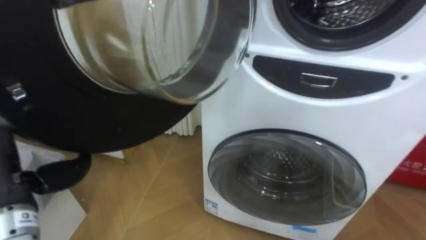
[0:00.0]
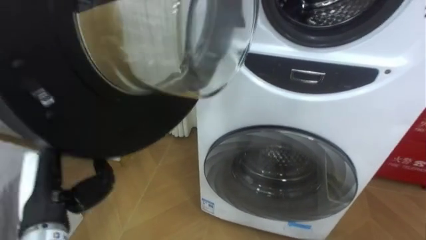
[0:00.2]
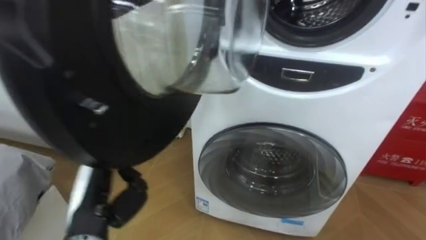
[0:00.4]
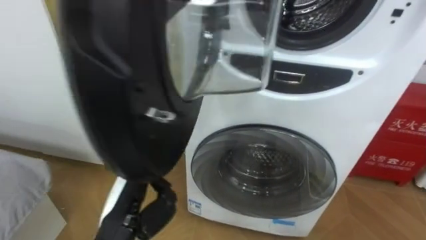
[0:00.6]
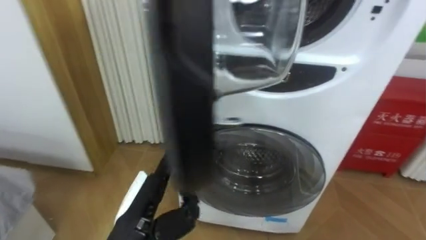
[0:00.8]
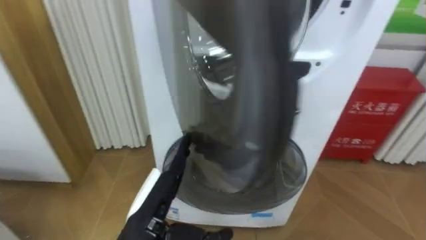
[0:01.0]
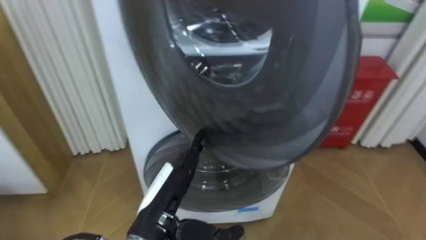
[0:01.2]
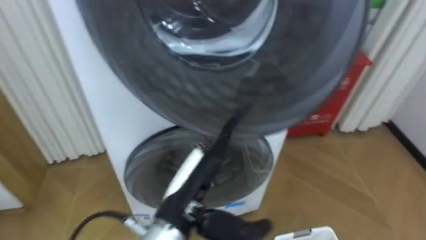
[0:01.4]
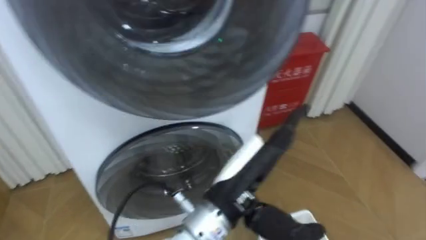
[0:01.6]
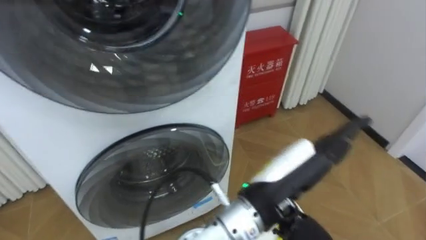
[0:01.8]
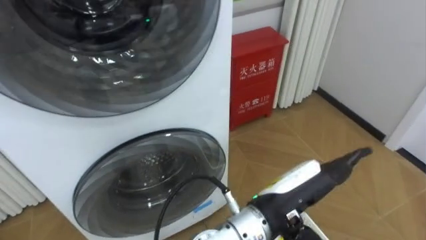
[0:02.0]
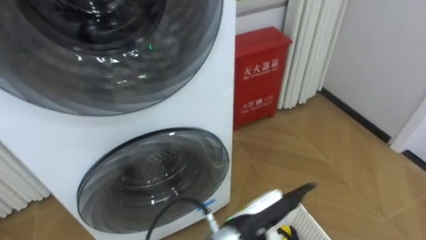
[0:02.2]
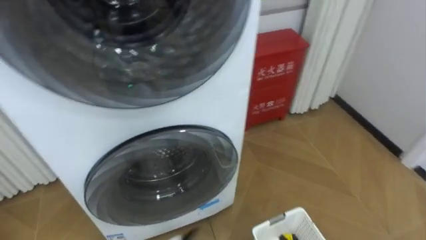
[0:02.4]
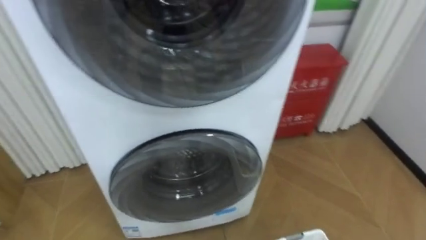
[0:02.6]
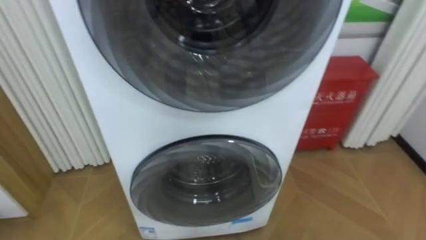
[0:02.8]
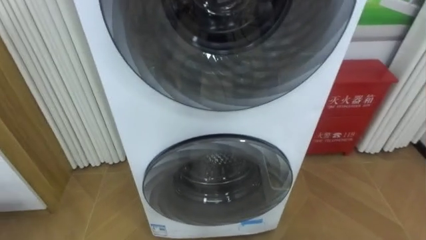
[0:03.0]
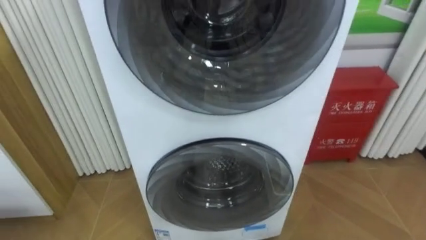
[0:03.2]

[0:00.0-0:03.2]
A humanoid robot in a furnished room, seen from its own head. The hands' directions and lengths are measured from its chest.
Task of the whole recording: Open the washing machine door, take out the yellow clothes, place them in the box on the right, and close the washing machine door.
0.0 to 1.6 s: The left hand heads to the right, covering about 30 cm.

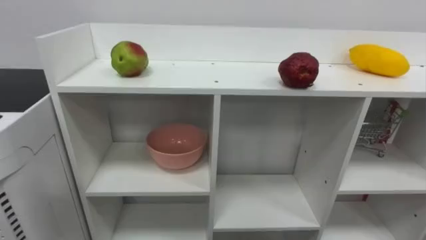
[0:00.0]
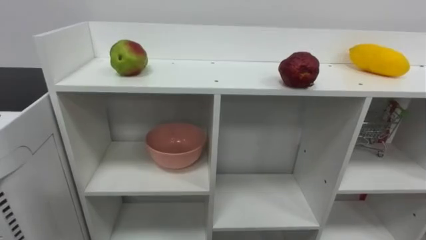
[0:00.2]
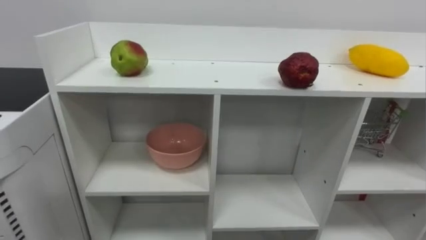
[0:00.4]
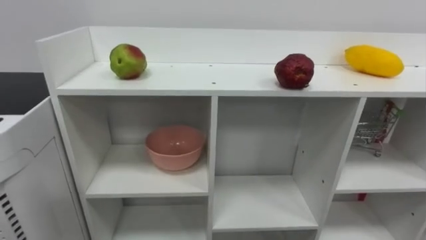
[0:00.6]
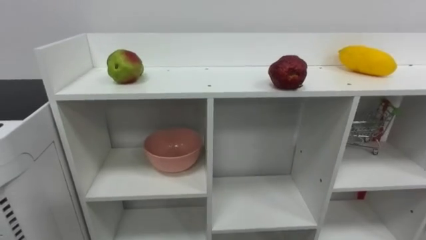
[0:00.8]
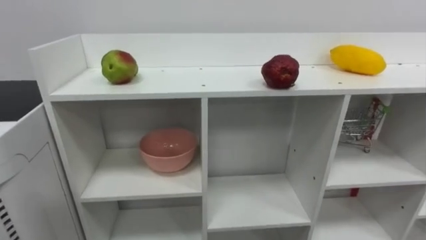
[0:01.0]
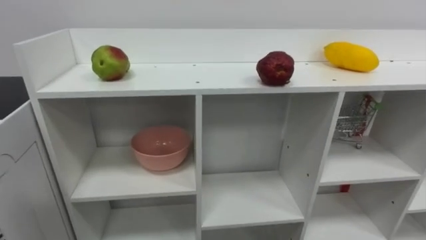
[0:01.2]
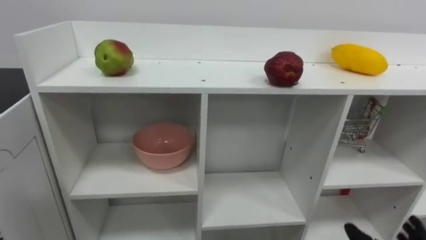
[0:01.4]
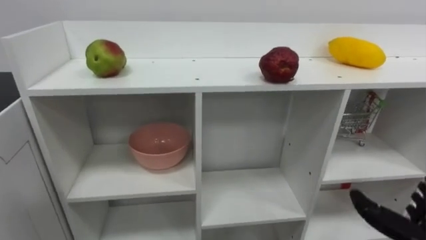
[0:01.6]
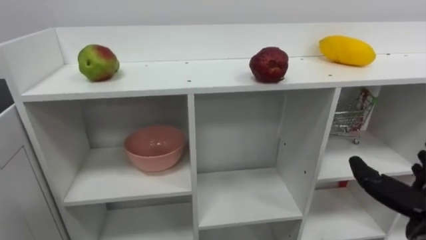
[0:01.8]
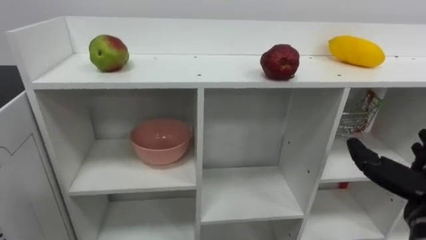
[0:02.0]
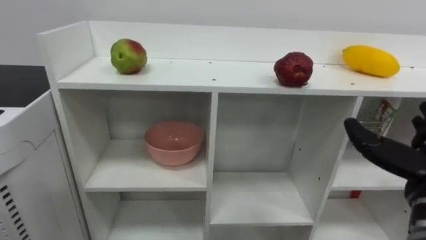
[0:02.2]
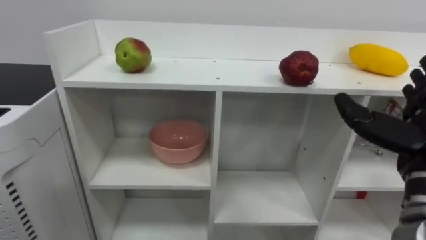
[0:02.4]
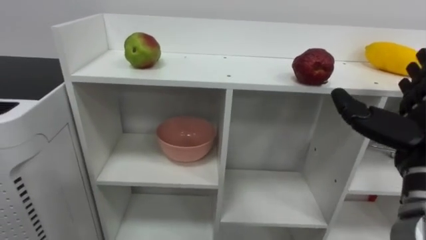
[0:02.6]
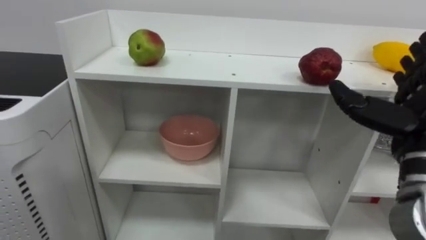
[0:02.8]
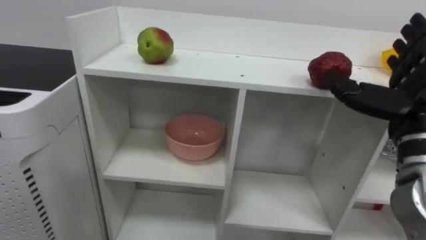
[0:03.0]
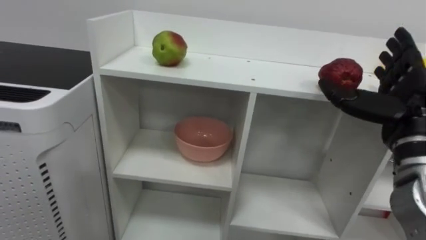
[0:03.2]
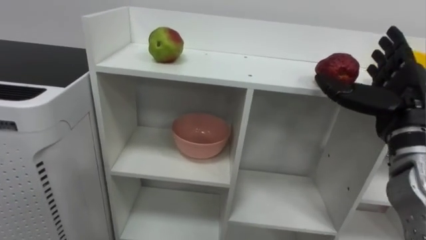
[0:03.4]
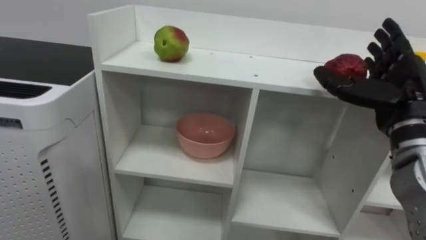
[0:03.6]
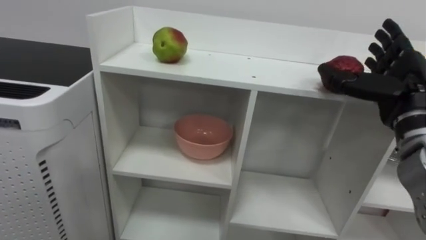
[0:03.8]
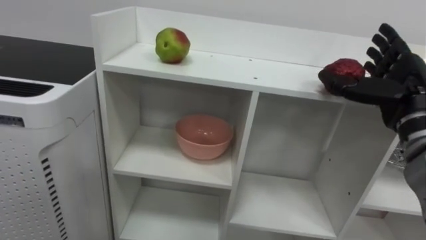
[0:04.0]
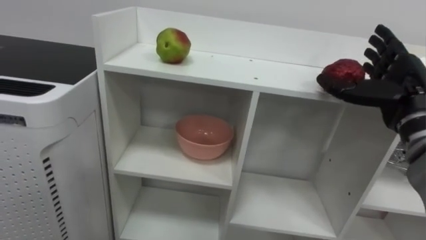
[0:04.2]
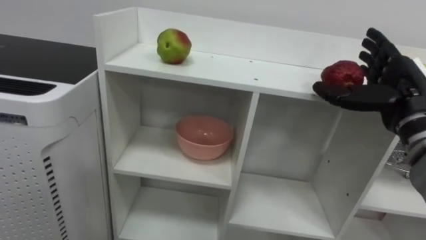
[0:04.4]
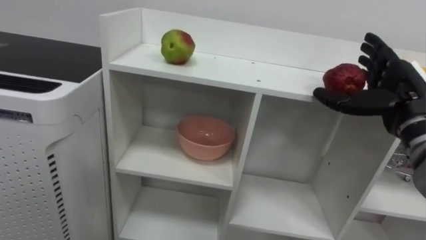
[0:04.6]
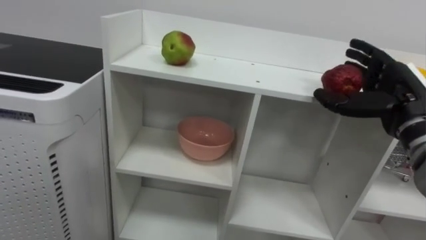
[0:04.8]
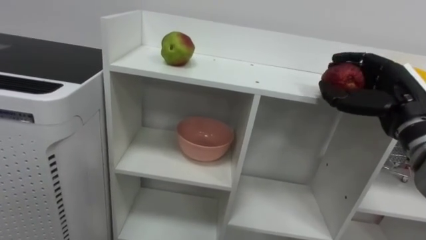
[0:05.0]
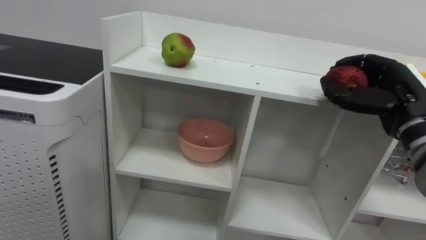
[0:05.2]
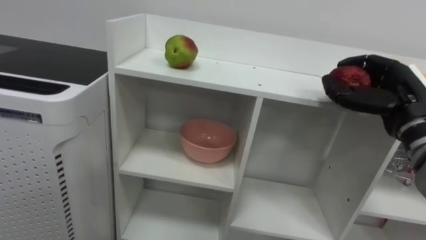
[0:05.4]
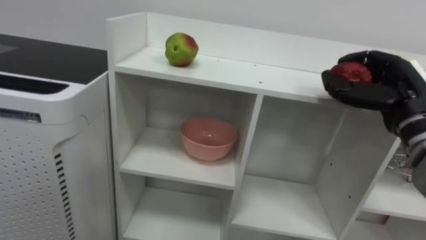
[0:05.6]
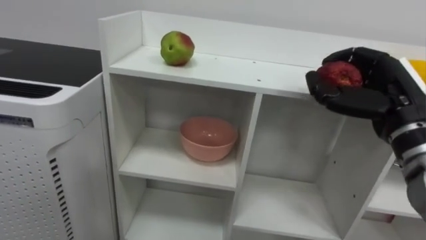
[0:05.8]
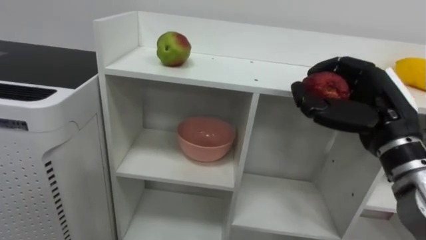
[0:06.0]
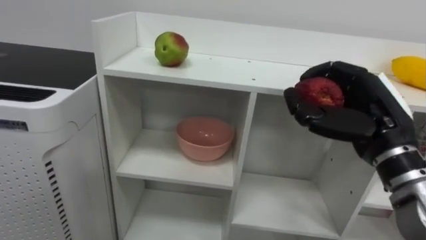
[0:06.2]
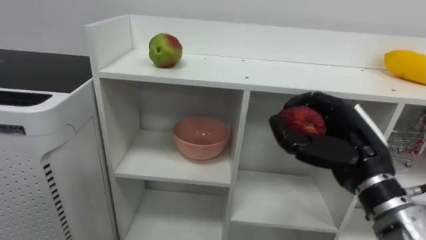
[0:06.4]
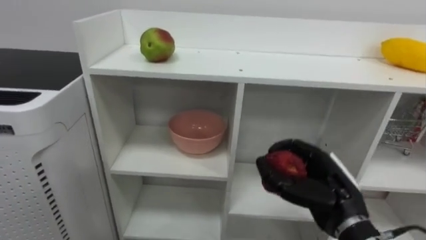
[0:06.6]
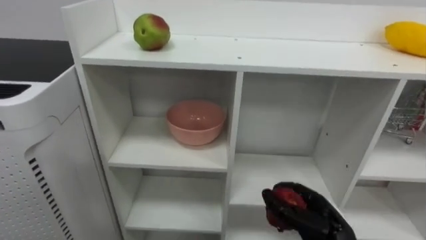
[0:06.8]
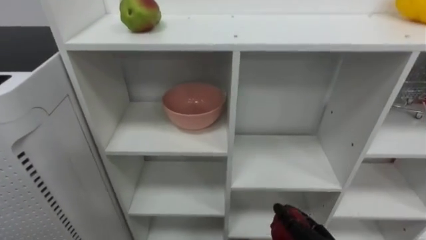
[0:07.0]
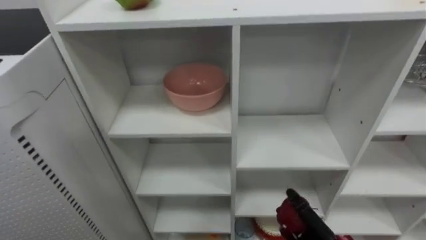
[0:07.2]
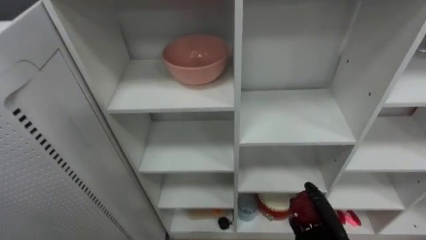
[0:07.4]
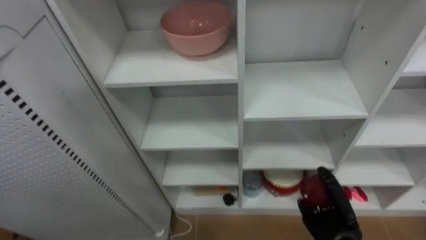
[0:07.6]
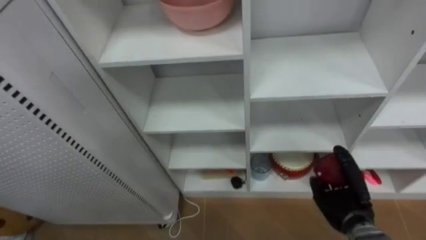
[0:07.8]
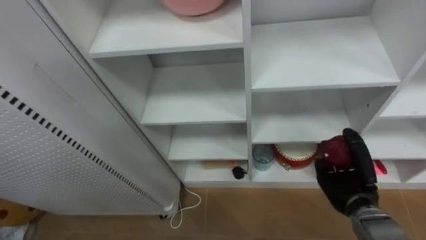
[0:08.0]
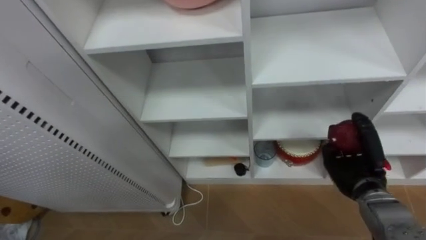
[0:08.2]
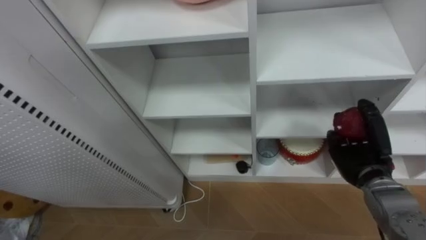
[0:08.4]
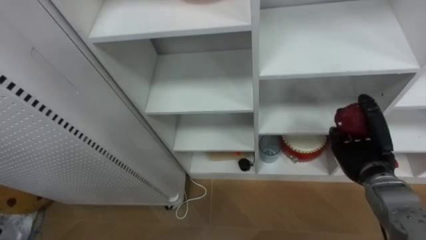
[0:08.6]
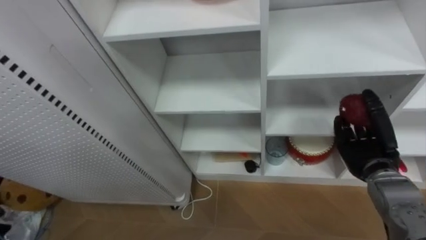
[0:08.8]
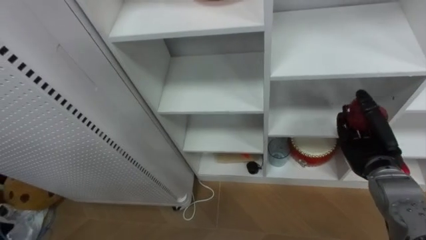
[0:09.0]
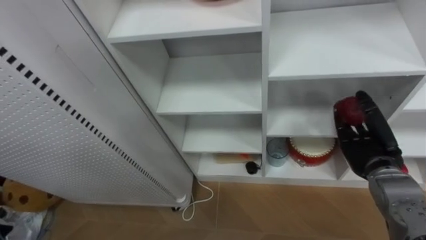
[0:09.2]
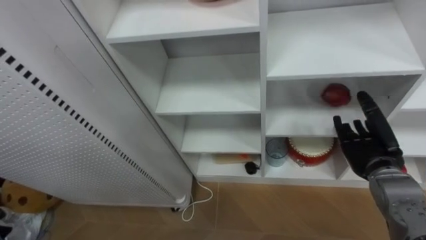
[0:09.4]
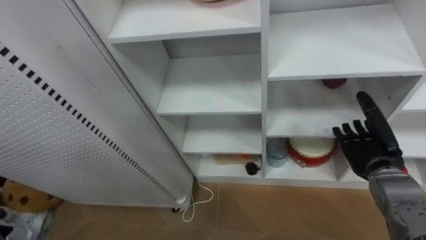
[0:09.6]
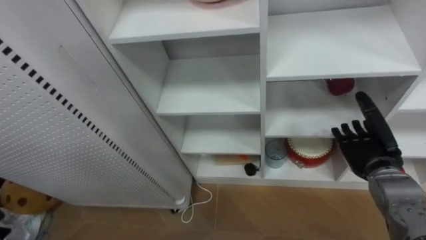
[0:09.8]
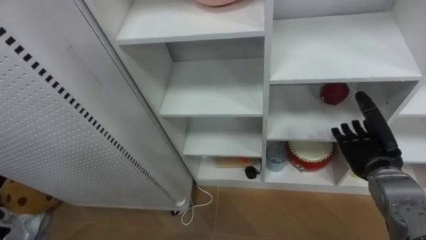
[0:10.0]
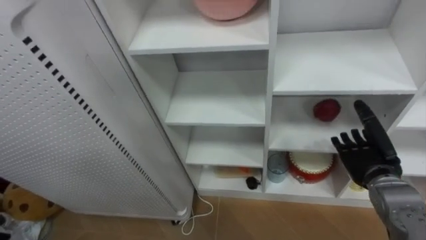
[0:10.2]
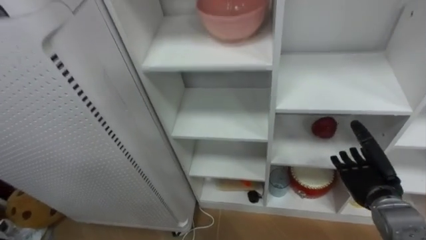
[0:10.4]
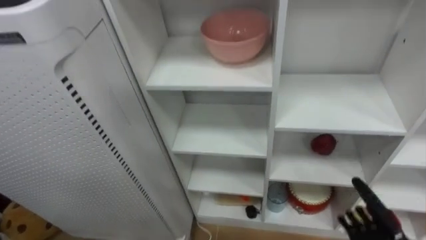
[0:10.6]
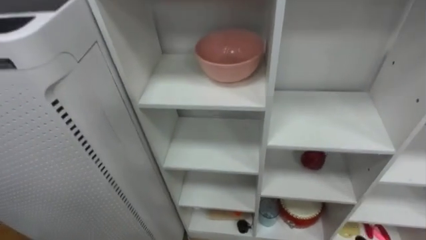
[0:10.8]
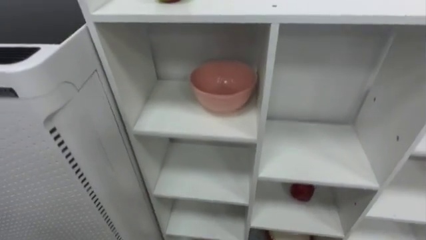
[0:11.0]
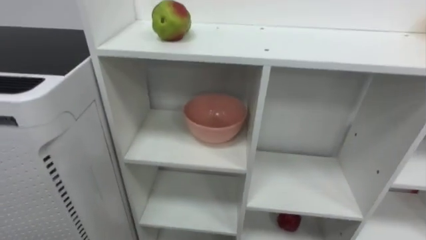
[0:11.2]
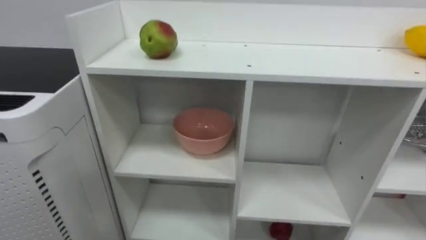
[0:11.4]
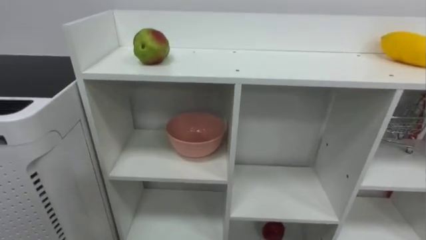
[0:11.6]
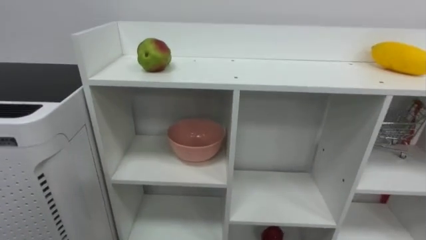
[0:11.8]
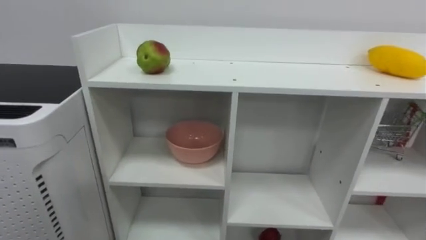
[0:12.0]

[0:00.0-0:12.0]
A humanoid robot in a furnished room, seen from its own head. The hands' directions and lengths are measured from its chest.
Task of the whole recording: Put the apple in the cell in the second column from the left and the second row from the top.
3.0 to 4.4 s: The right hand is displaced forward by some 5 cm.
4.4 to 6.0 s: The right hand heads to the left, covering about 5 cm, and closes its fingers.
7.6 to 9.0 s: The right hand goes some 15 cm upward, forward and to the right, and opens up.
9.0 to 10.4 s: The right hand opens its fingers.

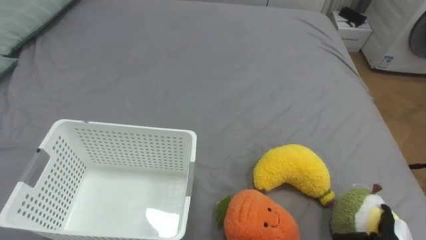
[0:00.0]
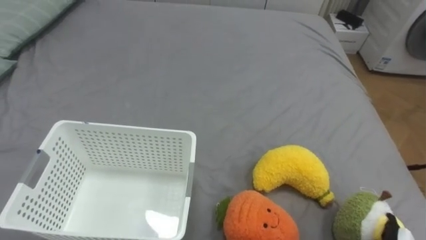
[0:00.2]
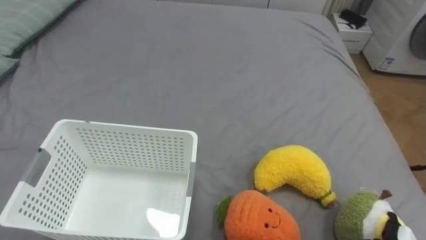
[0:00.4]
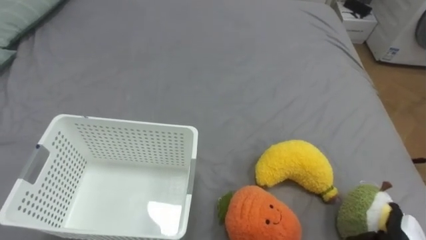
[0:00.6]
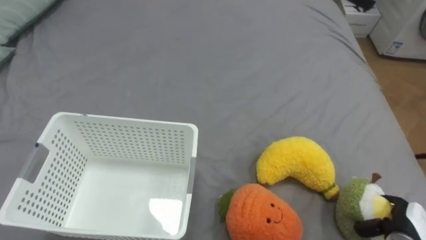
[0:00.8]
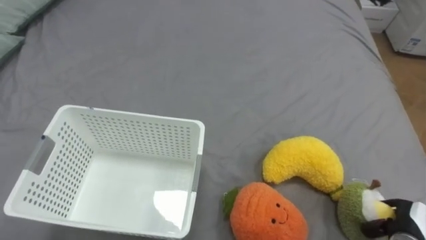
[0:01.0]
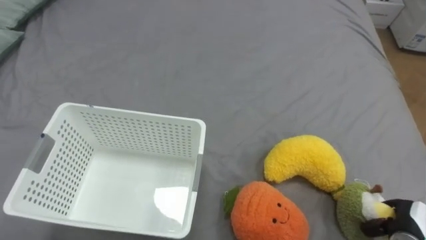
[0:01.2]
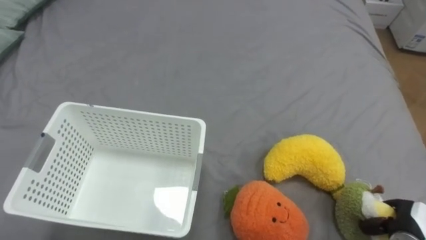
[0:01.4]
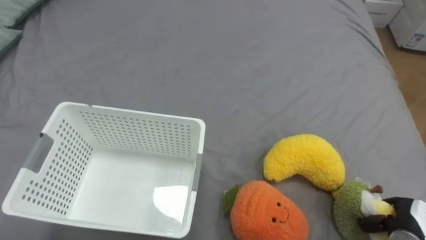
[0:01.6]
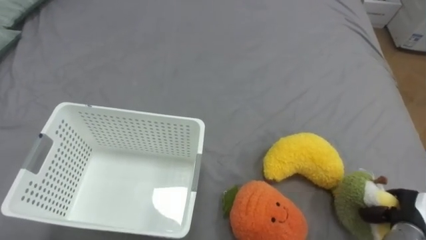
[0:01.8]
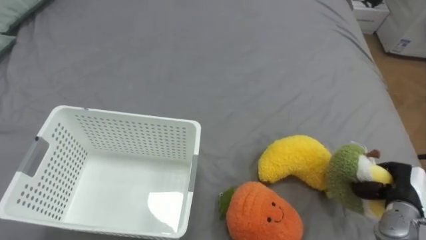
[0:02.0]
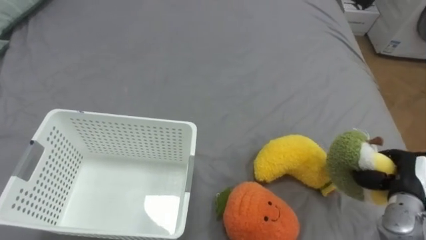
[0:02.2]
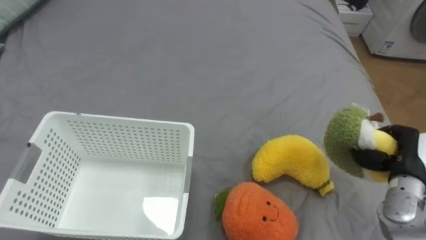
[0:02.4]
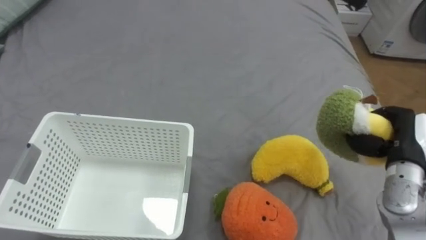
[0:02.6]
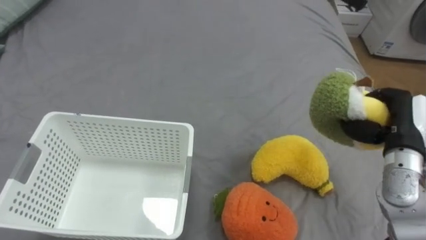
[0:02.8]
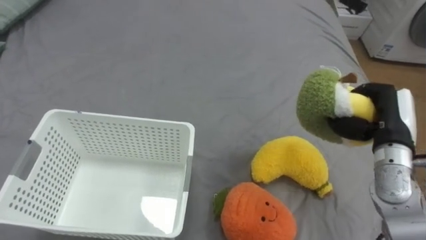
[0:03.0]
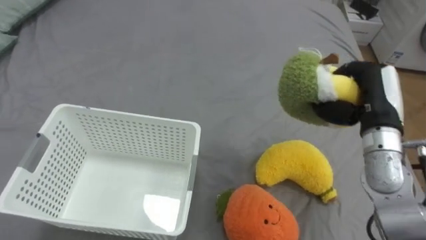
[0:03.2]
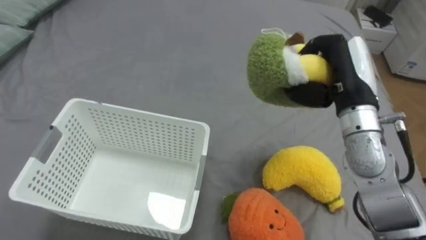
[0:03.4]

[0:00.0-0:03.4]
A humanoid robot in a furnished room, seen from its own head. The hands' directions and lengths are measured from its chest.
Task of the whole recording: Put the toys on the bed into the basket on the left.
1.6 to 3.4 s: The right hand is displaced upward, to the left and forward by some 35 cm.
